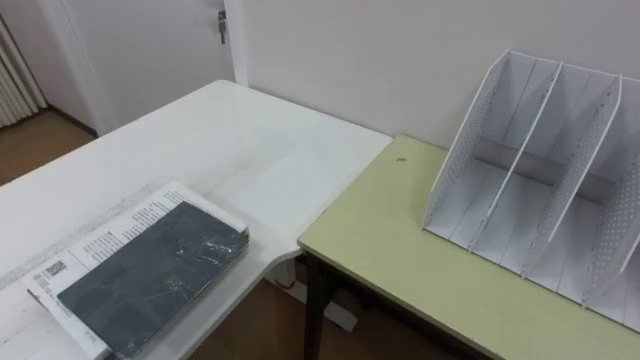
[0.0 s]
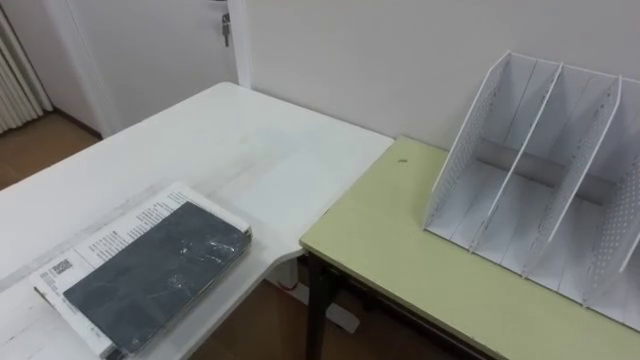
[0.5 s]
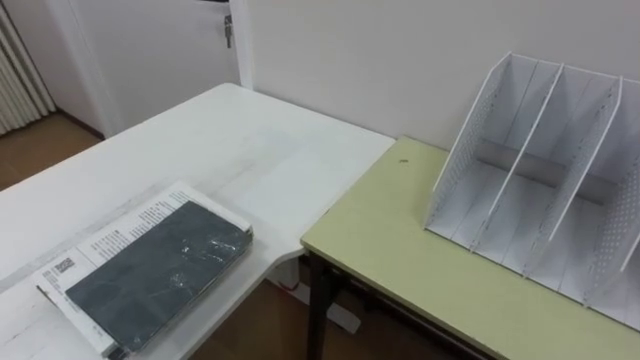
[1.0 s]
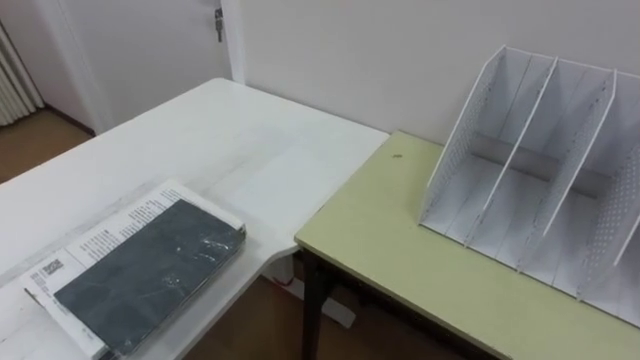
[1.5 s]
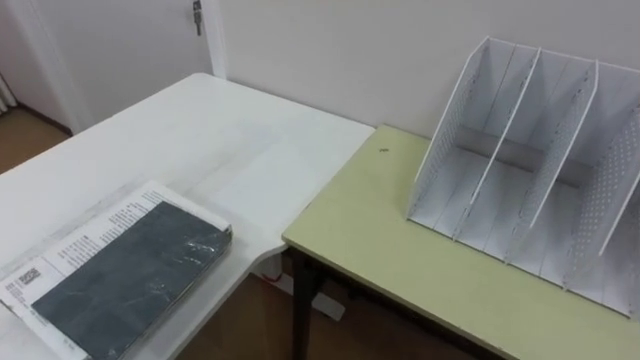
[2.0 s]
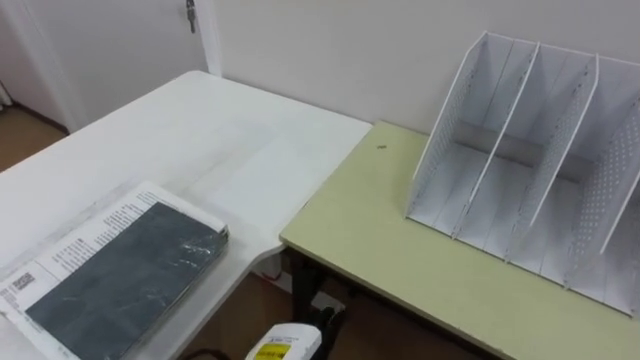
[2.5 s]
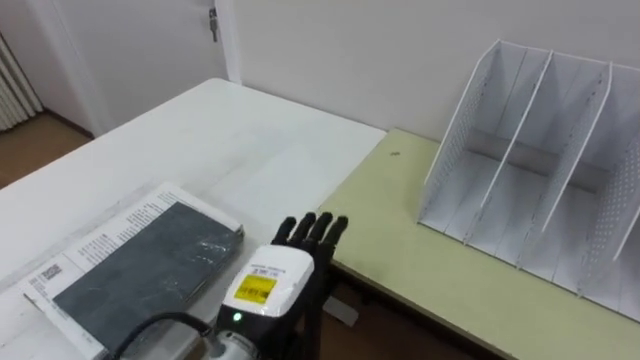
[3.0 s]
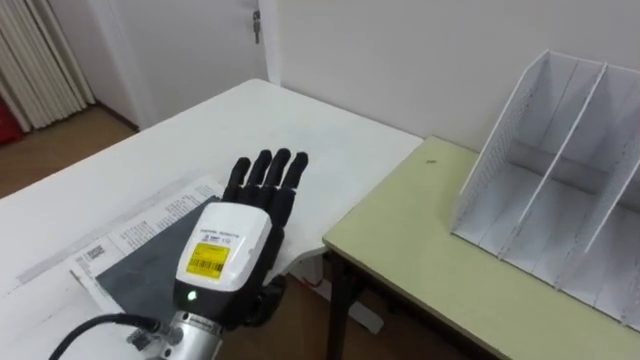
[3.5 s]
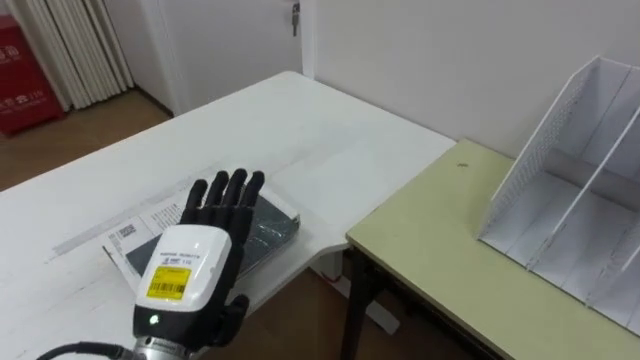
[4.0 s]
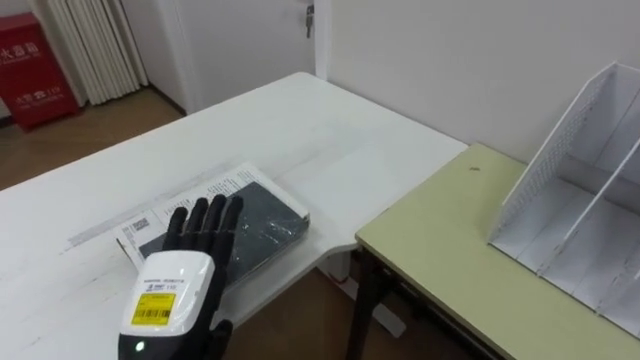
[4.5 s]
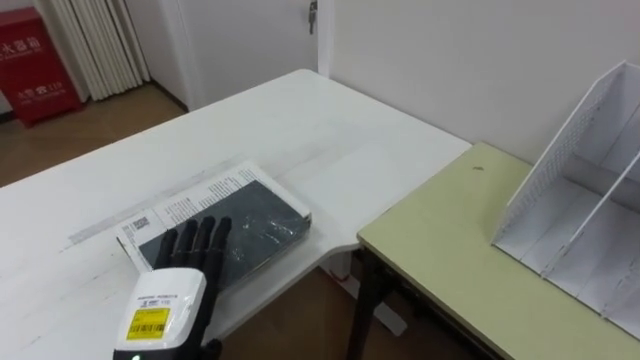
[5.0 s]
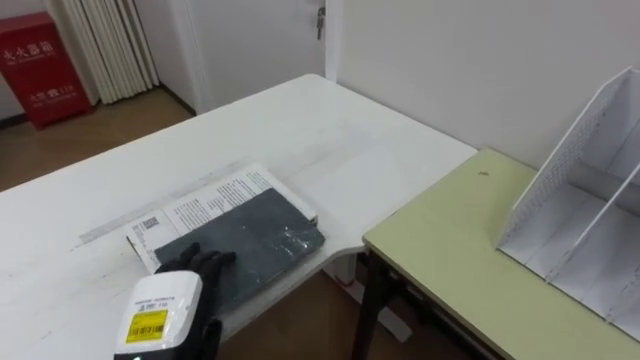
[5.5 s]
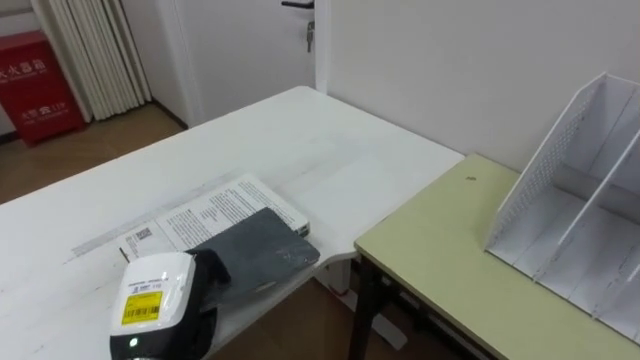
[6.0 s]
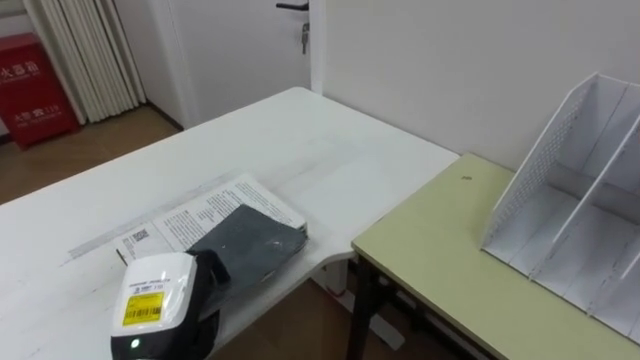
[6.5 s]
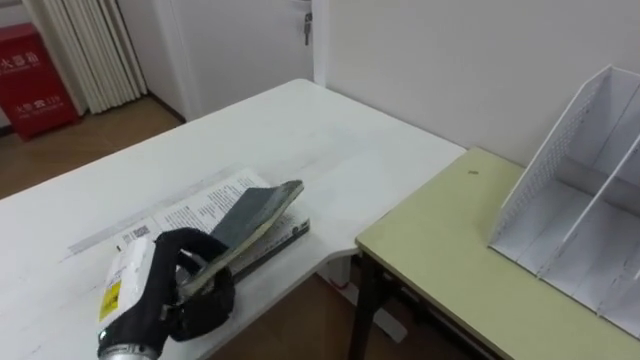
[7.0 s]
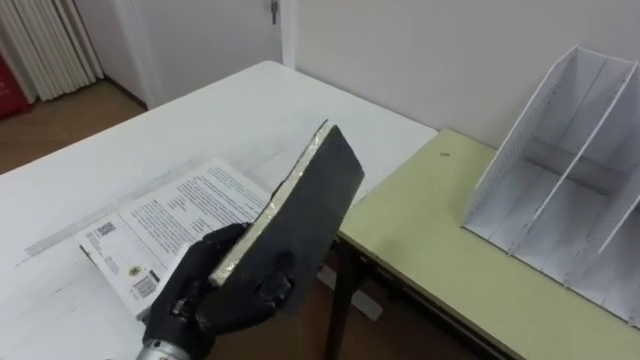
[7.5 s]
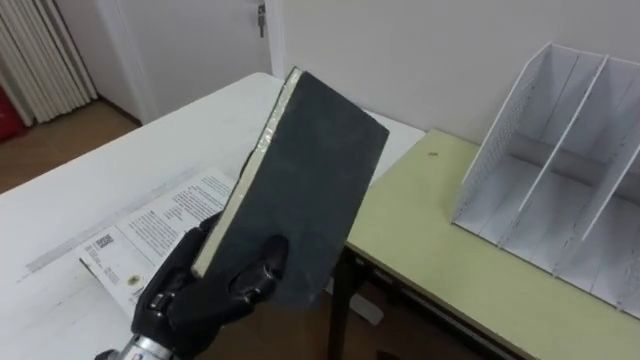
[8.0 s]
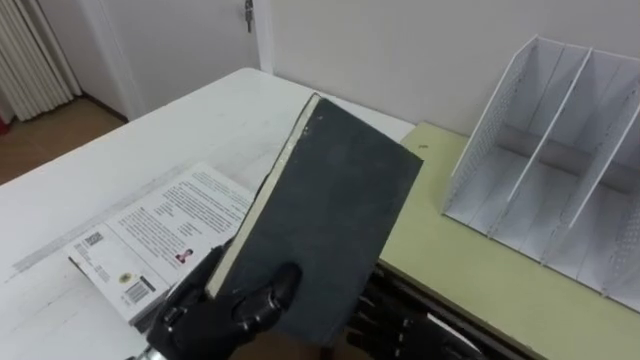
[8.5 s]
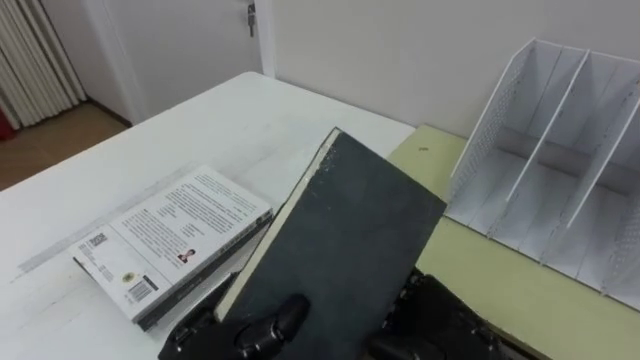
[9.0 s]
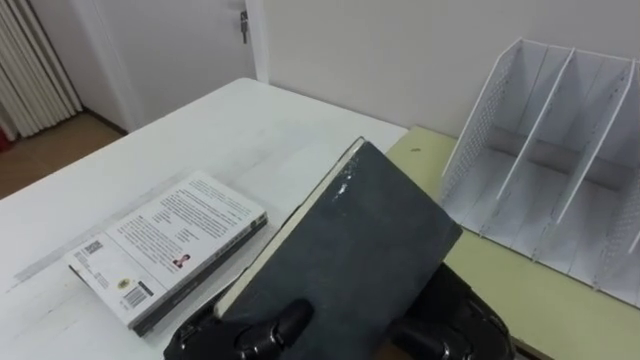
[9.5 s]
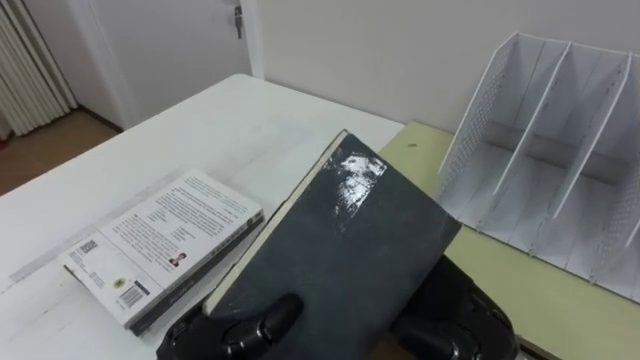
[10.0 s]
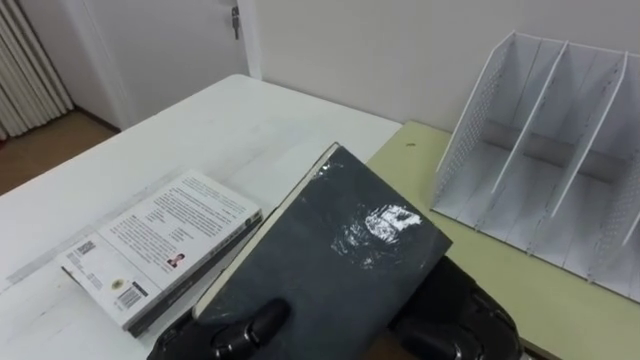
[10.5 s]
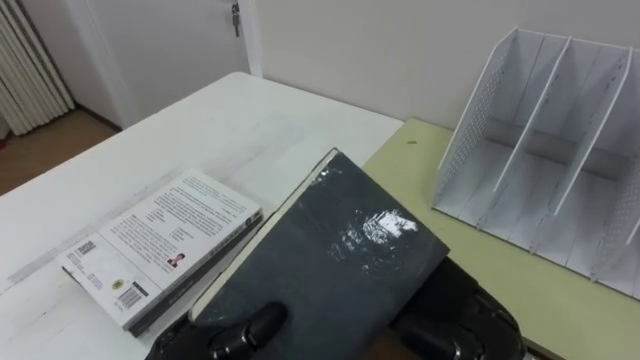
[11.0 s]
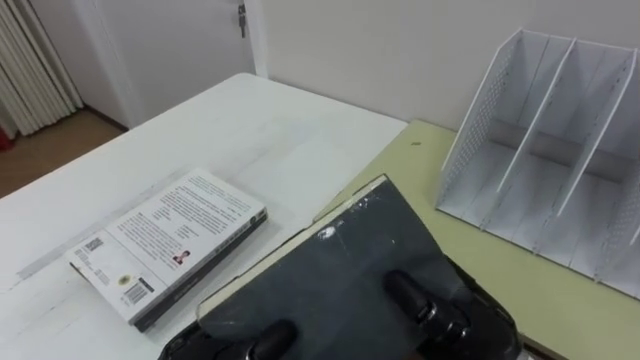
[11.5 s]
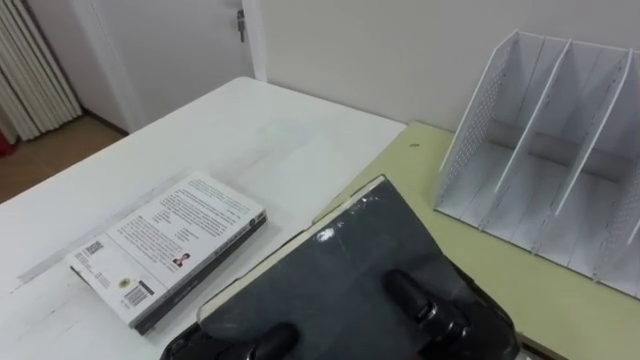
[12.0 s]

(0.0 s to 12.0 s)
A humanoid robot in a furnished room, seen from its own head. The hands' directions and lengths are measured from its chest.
Task of the whole recording: Put the books on the table onto the bookshelf.
4.0 s - 6.0 s: The left hand is displaced downward by about 5 cm, and closes its fingers.
6.0 s - 8.0 s: The left hand heads upward, covering roughly 5 cm.
8.0 s - 10.0 s: The left hand shifts by some 5 cm.
10.0 s - 12.0 s: The right hand closes up.

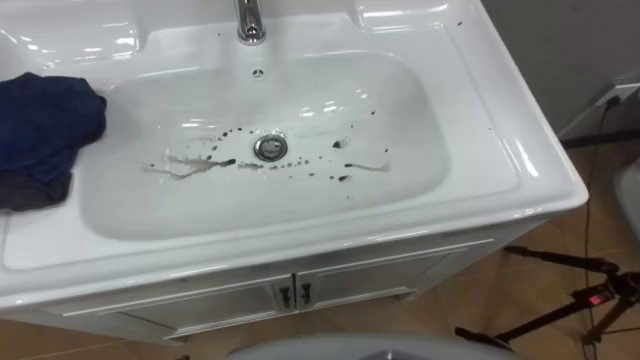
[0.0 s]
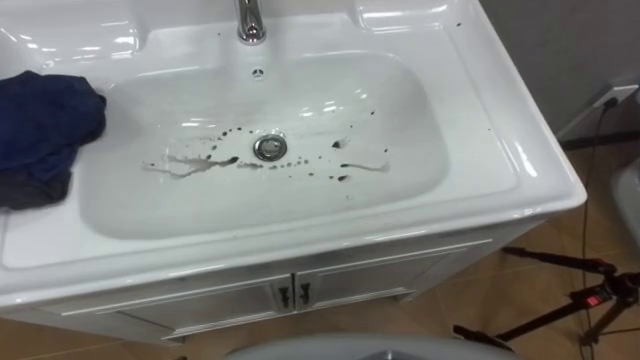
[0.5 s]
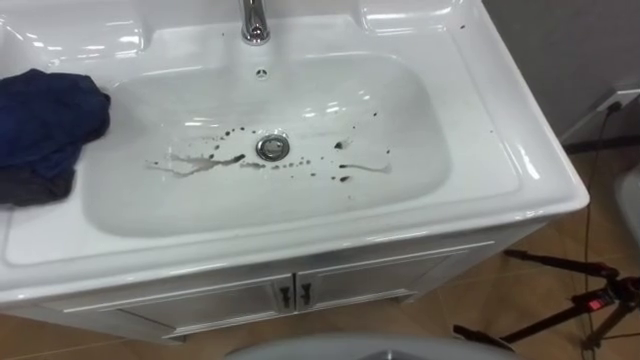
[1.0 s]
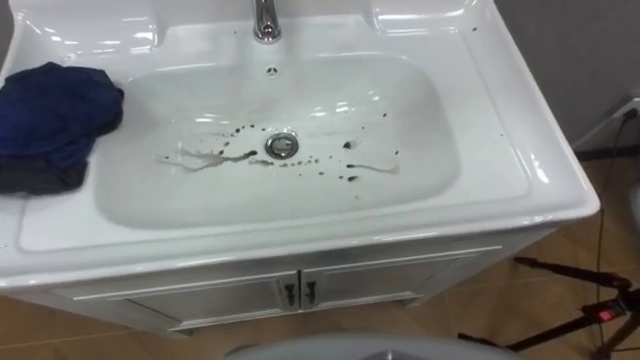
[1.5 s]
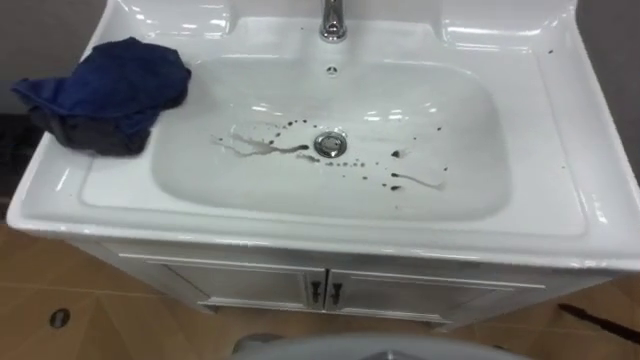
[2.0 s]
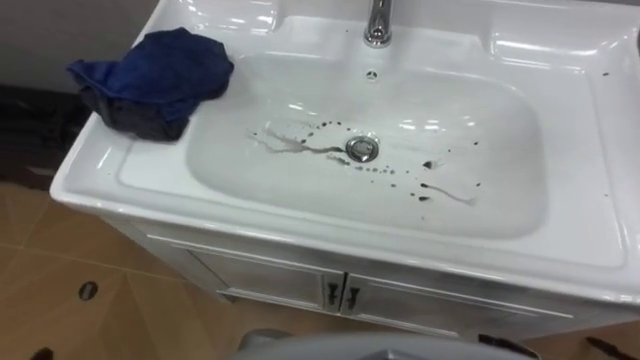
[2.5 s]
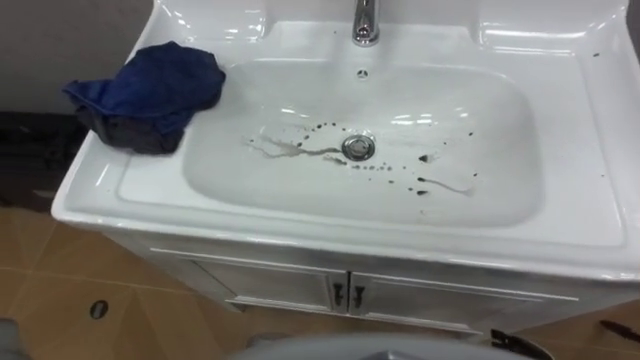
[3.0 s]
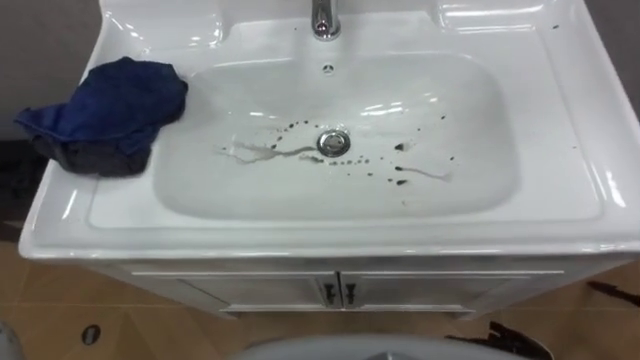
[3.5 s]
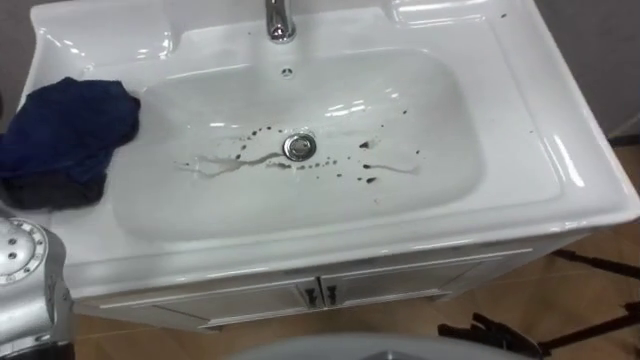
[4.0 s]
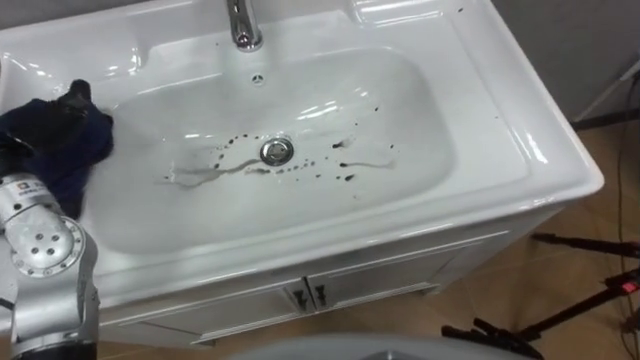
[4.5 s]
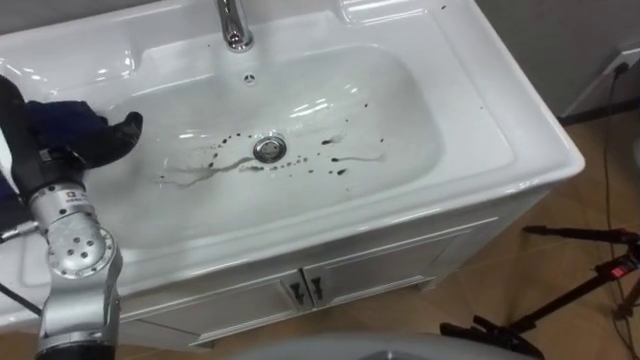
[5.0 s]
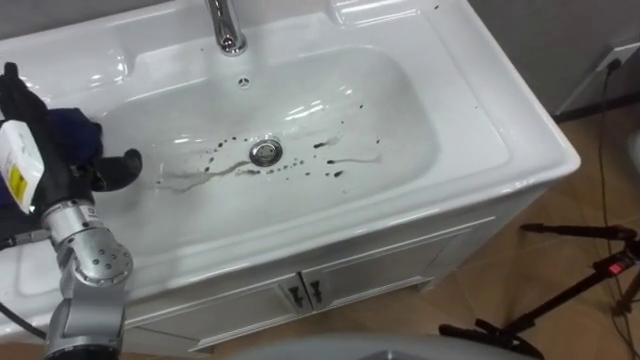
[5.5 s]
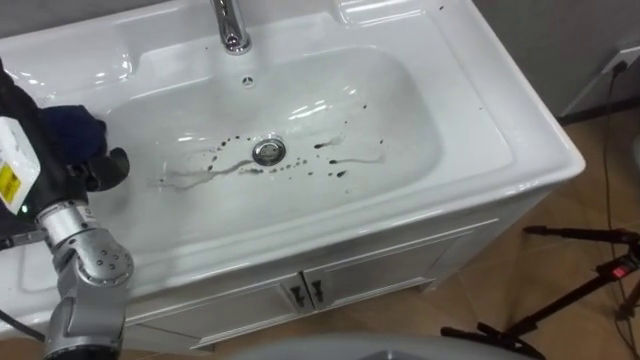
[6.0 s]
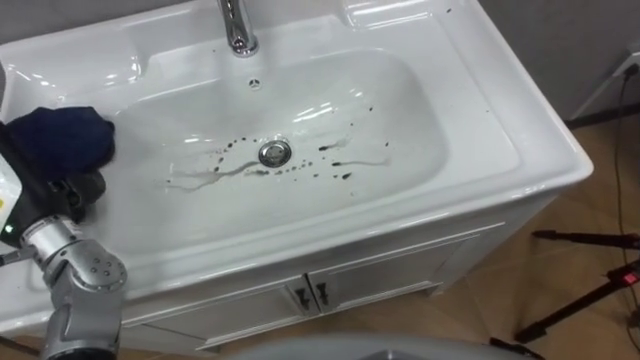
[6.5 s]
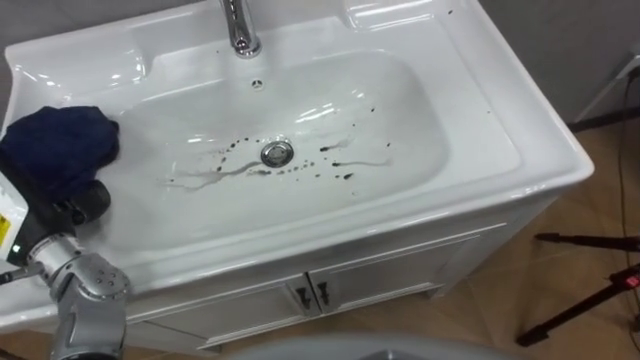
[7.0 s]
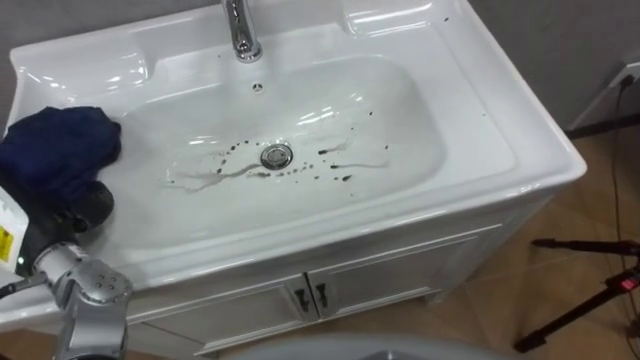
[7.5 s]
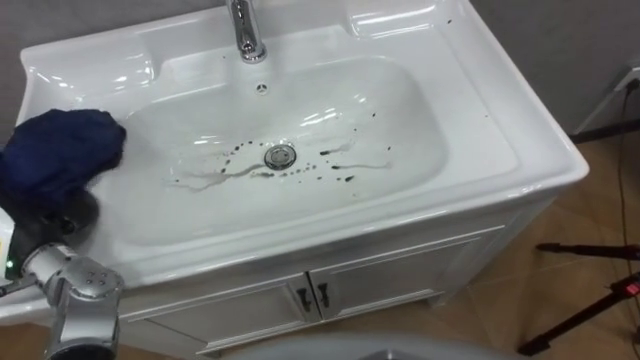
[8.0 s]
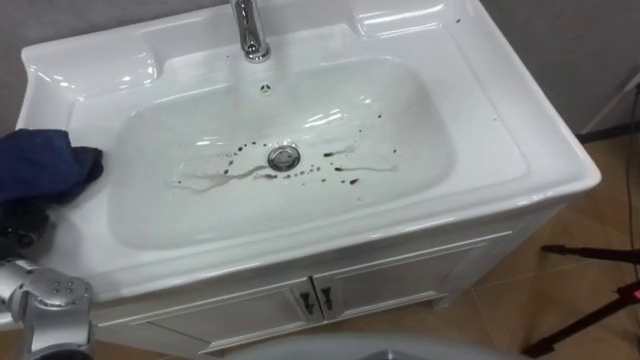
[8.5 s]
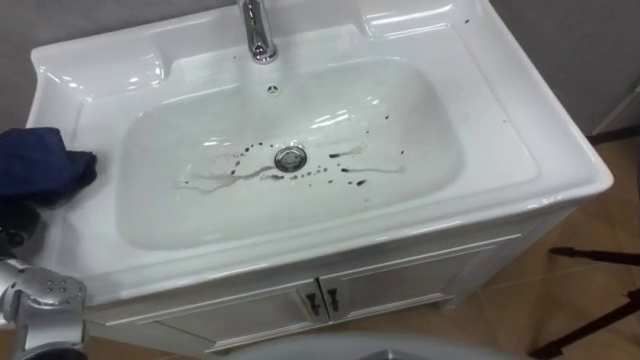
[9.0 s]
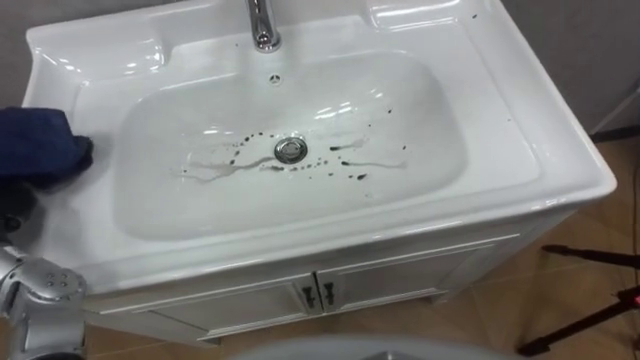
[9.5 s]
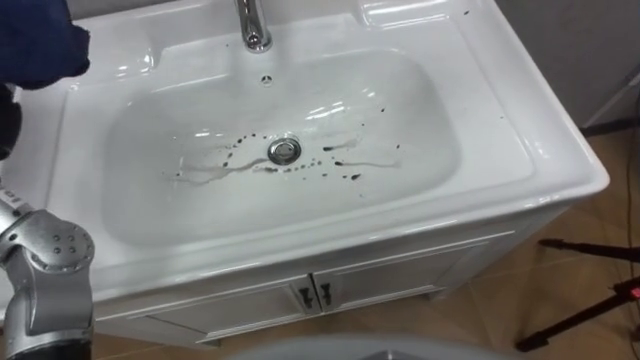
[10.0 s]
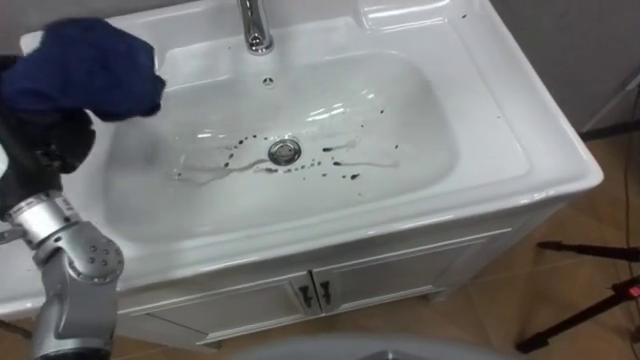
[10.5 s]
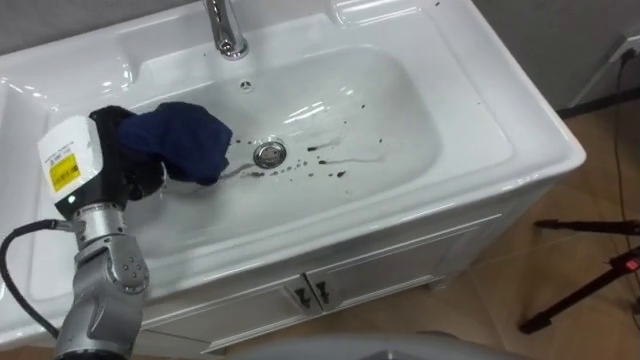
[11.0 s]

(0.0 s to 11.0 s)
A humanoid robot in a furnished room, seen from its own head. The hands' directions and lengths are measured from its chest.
Task of the whole recording: Use the cloth on the right to wipe away the black stain in the sink.
5.5 s - 7.5 s: The left hand travels backward by roughly 5 cm.
